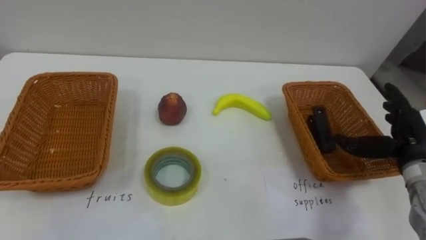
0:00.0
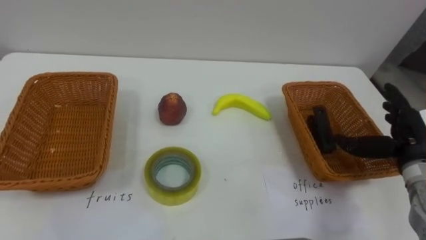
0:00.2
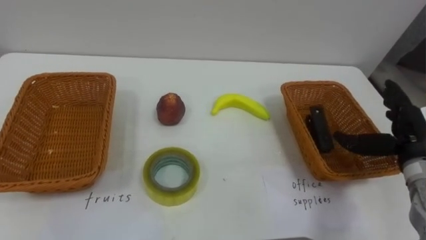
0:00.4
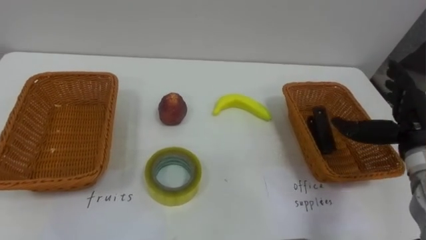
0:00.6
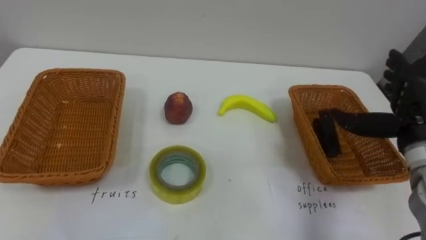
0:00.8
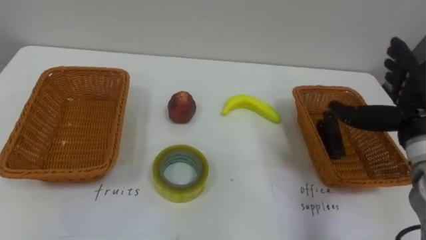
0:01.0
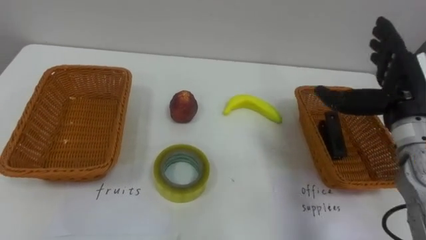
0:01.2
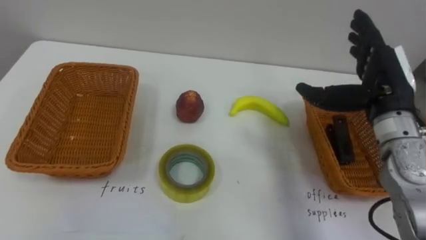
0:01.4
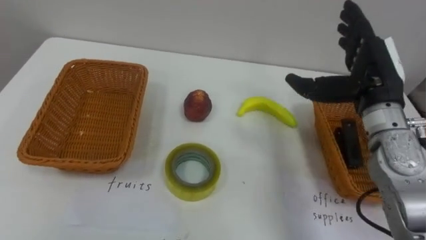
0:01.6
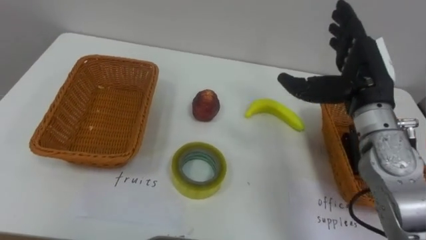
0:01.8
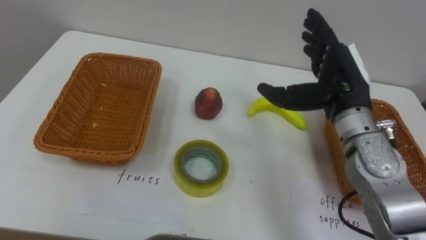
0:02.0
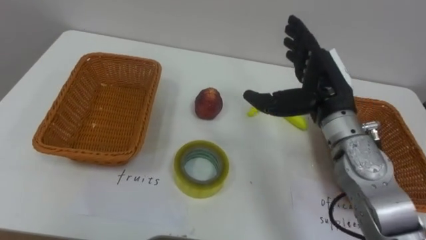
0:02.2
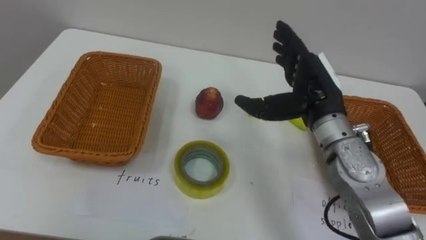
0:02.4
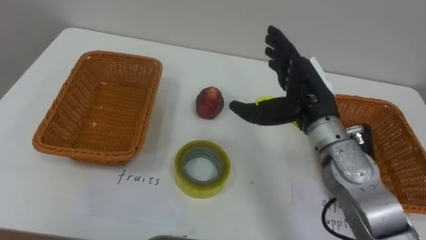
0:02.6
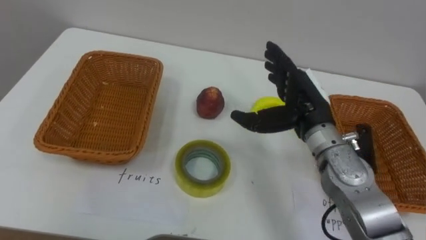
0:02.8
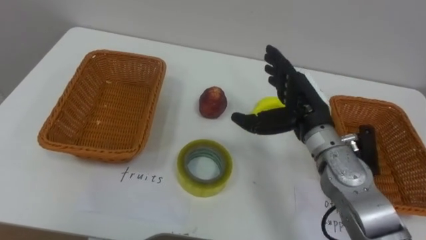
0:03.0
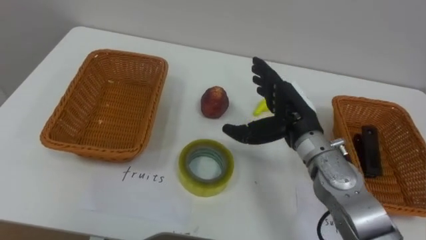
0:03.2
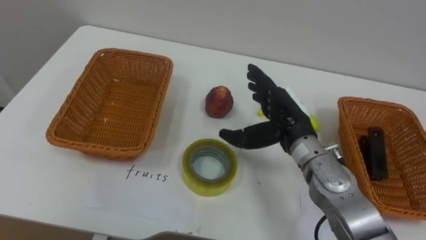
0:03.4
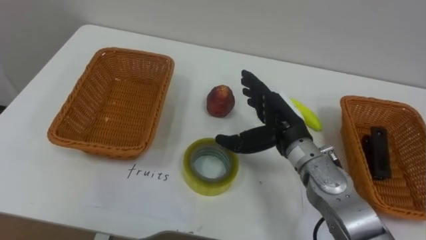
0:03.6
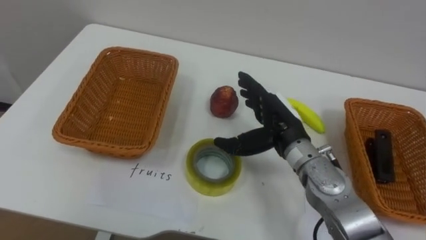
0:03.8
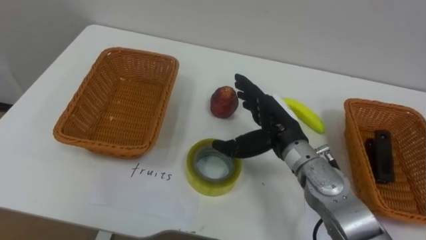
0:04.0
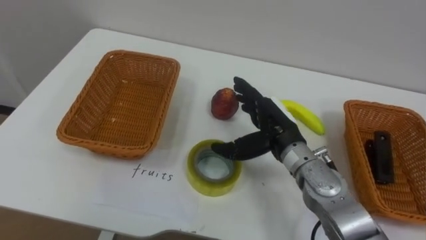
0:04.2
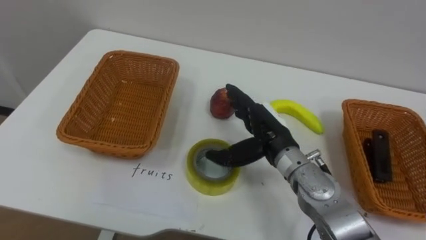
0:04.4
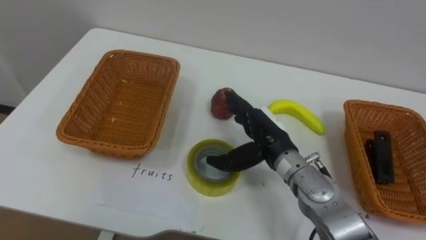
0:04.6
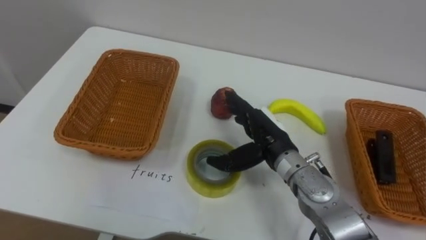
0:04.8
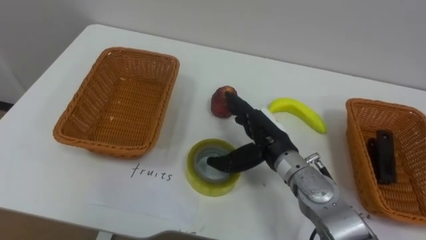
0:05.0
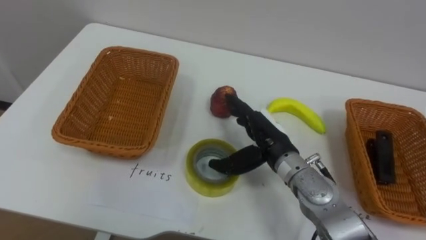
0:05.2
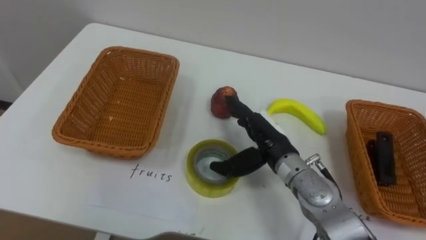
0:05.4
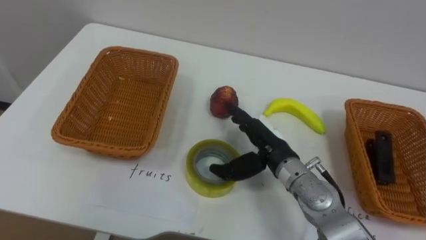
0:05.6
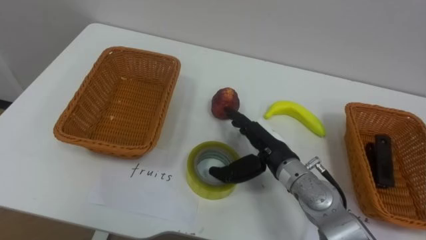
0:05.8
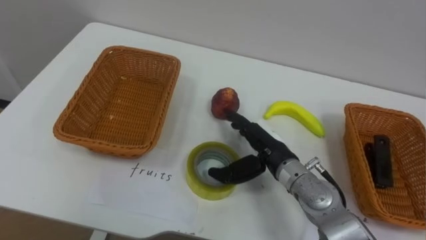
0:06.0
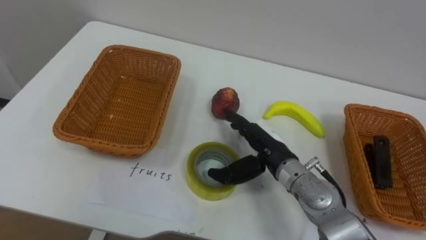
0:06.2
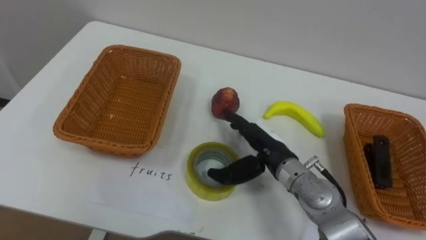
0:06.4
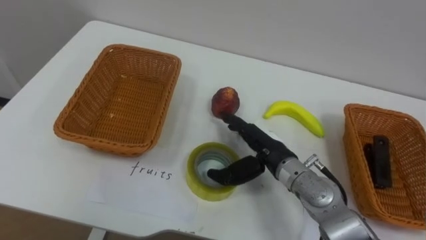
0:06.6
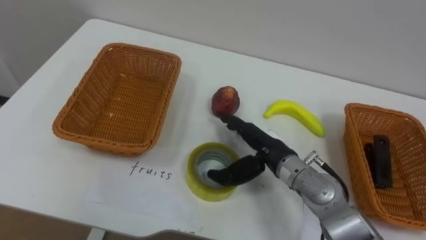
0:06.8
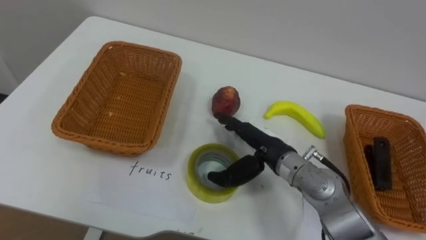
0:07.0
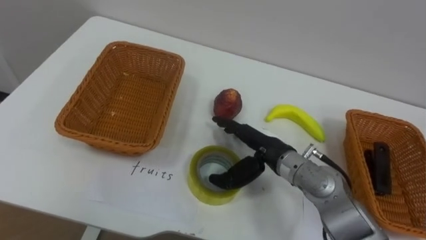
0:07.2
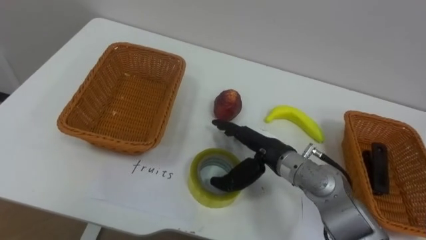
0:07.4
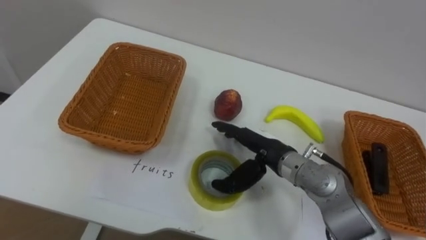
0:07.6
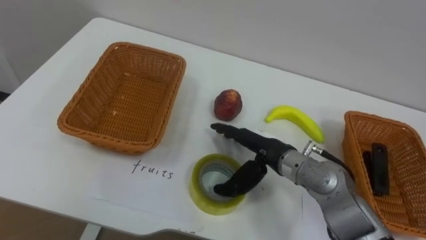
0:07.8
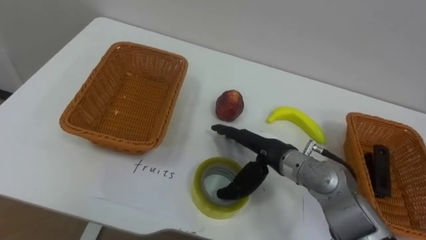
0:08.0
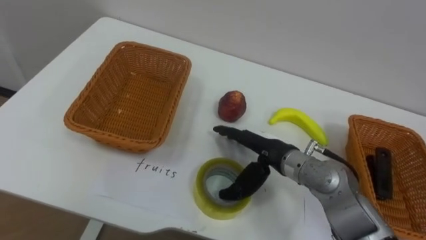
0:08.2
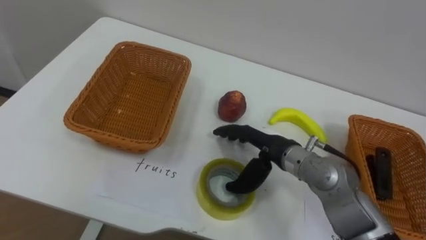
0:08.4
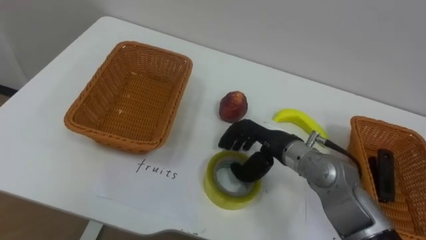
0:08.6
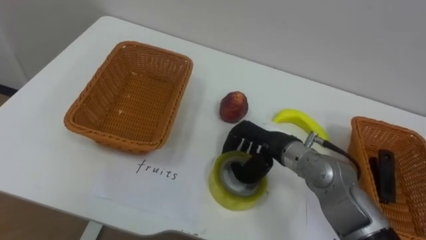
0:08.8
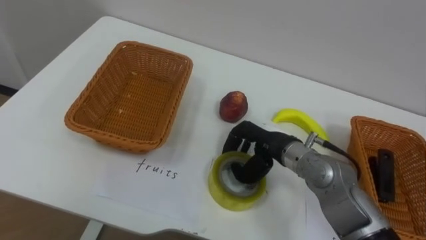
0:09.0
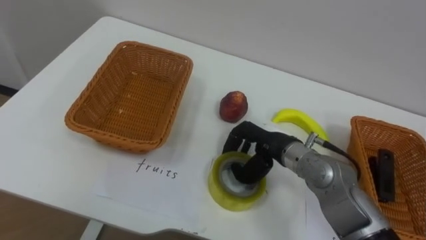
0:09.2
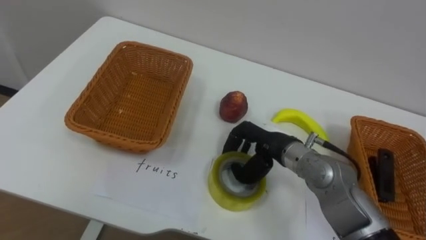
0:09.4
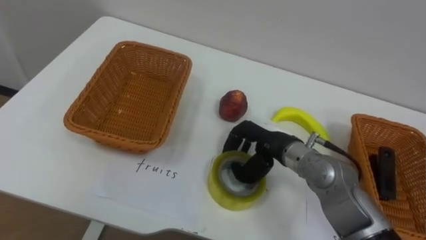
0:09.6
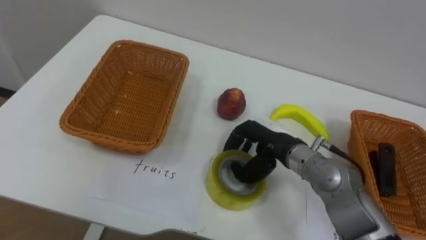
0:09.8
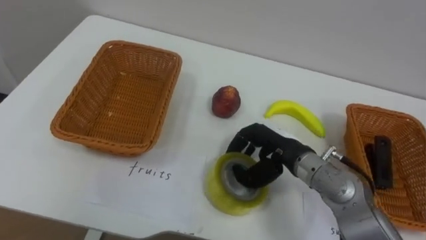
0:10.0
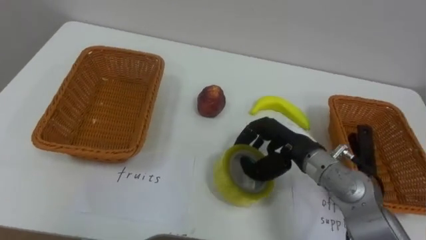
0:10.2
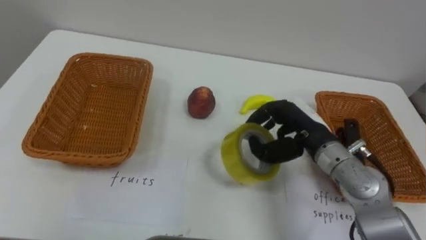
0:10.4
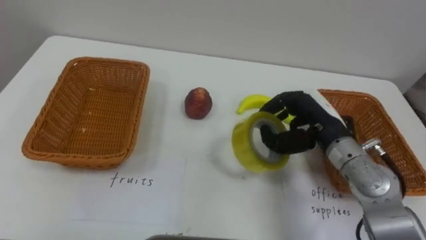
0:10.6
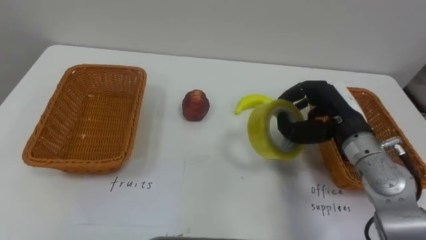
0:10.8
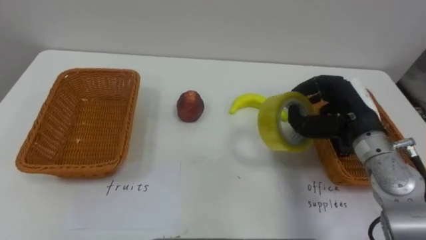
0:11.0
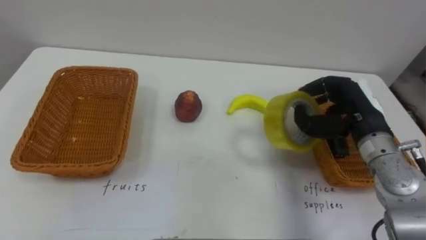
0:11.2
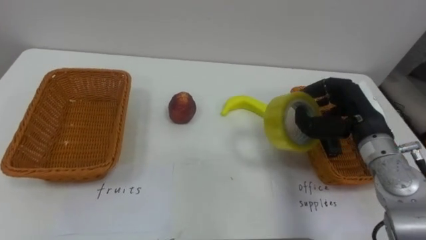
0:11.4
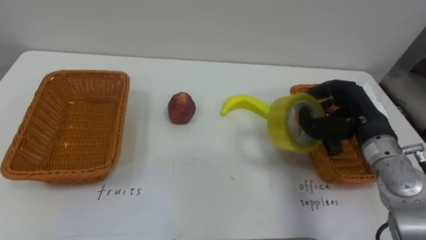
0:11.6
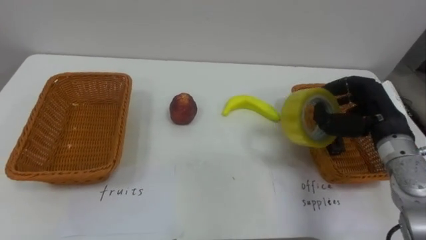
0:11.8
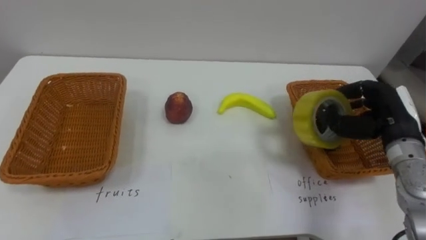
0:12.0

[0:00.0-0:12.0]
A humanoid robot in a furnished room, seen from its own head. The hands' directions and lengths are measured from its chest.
Task of the whole recording: Separate the items on the table and place them into the two baskets.
0:00.0 to 0:01.6: The right hand goes about 15 cm upward and to the left.
0:01.6 to 0:03.0: The right hand goes about 10 cm to the left and downward.
0:03.0 to 0:04.4: The right hand heads to the left and downward, covering roughly 5 cm.
0:07.6 to 0:09.0: The right hand closes.
0:09.0 to 0:10.4: The right hand goes roughly 5 cm to the right.
0:10.4 to 0:12.0: The right hand travels to the right by about 15 cm.

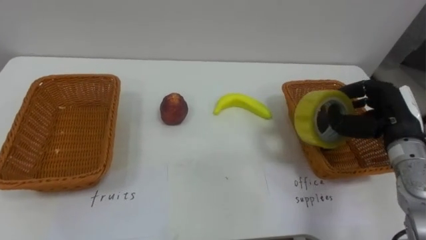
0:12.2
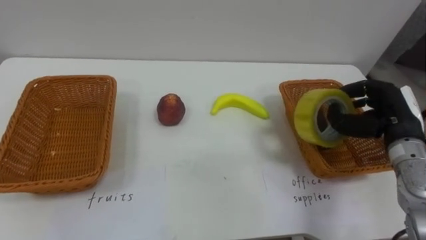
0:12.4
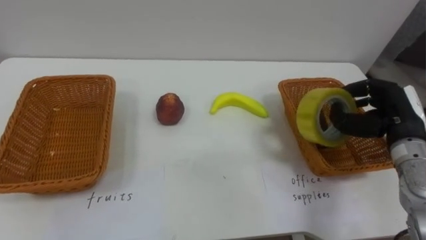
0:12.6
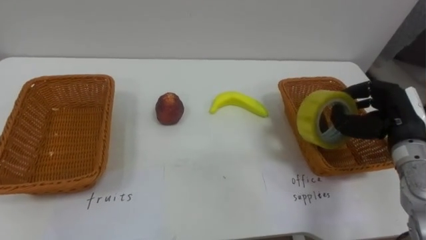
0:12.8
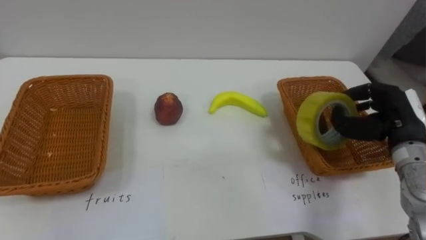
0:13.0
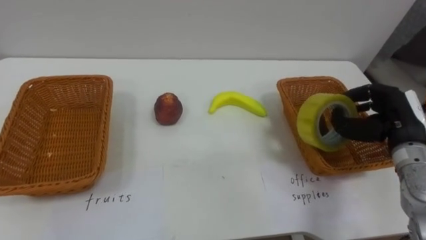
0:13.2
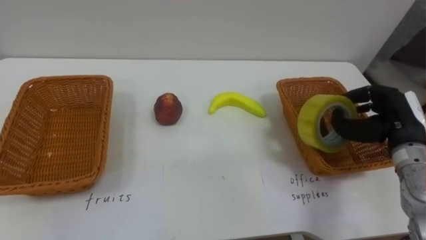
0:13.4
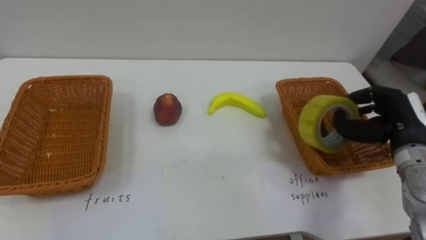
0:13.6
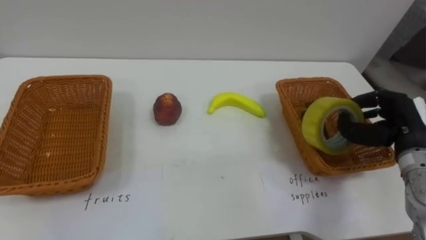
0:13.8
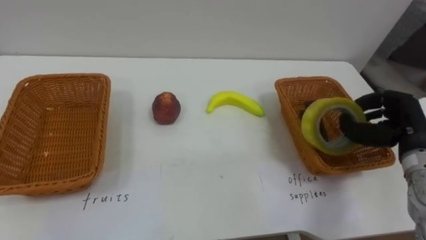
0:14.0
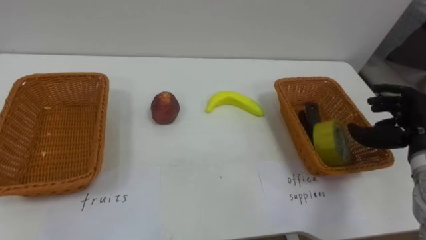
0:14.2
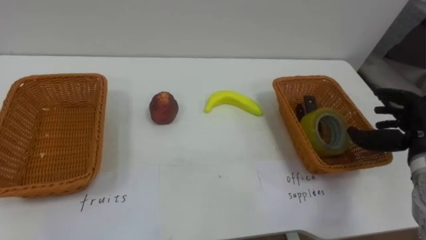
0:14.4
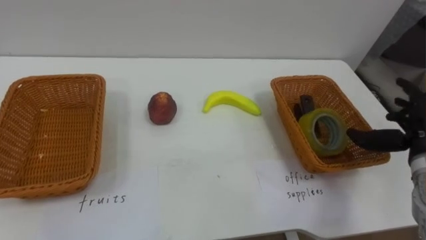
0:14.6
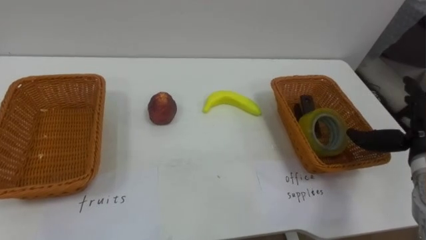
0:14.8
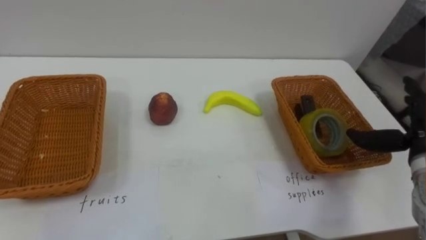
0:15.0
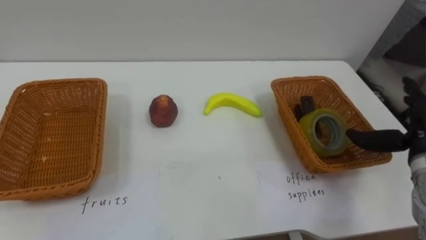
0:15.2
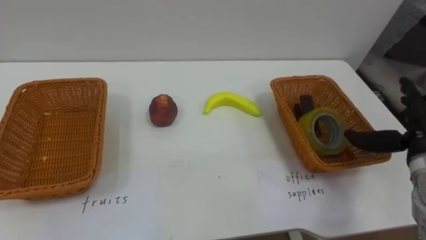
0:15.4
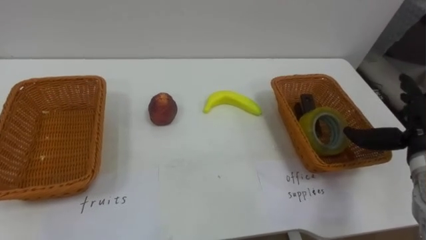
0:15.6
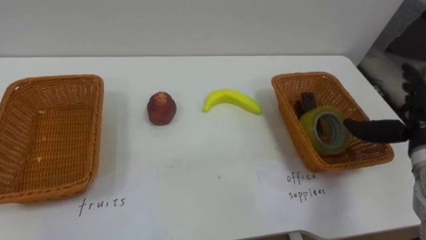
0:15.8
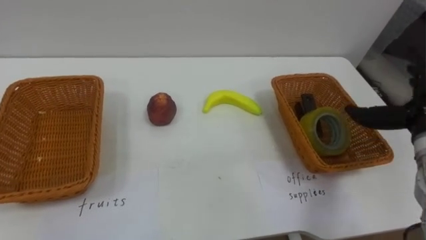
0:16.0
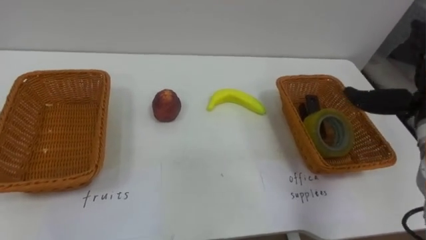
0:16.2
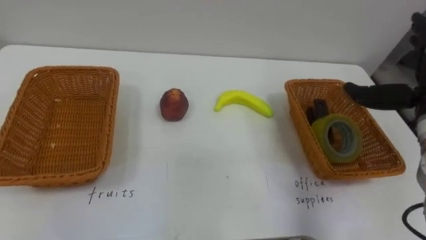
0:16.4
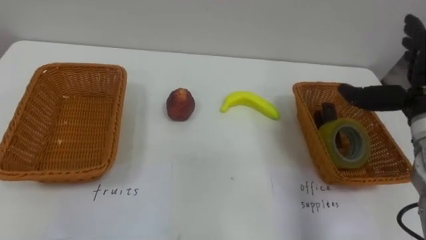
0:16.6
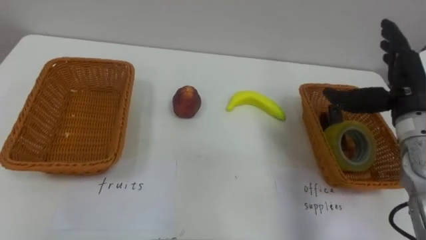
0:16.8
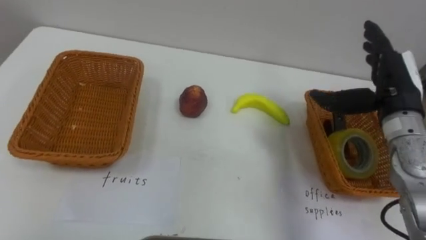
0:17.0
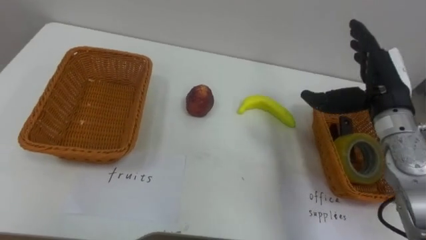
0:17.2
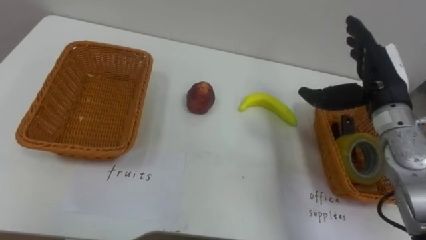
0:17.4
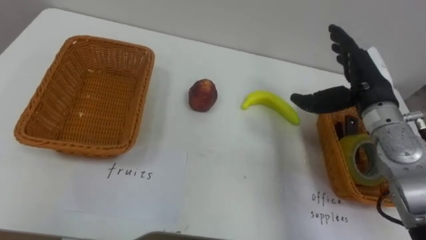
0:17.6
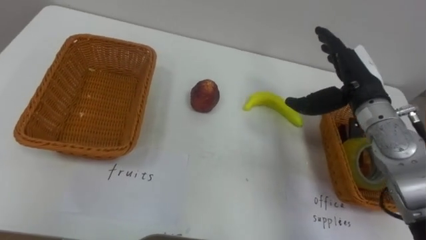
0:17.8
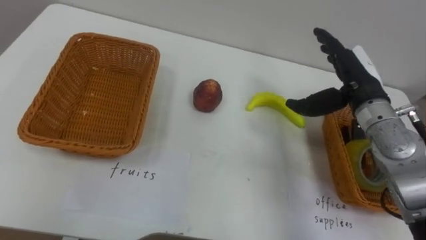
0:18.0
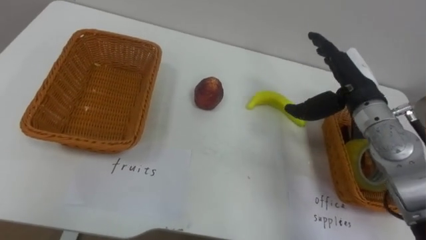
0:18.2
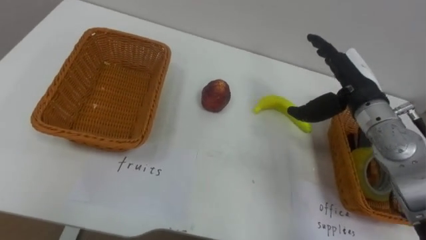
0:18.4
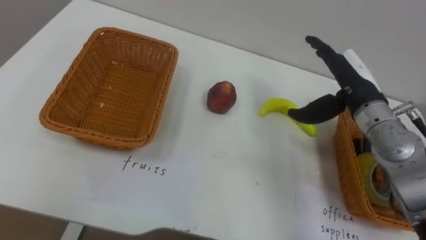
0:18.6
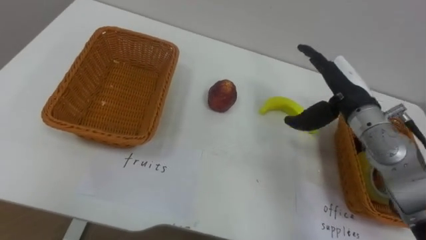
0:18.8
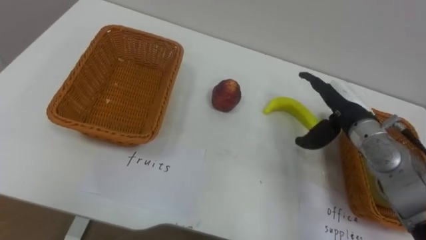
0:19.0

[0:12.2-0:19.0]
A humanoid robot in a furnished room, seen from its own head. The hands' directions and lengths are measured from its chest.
Task of the whole recording: Separate the items on the table and place them into the two baskets.
0:13.6 to 0:15.0: The right hand opens.
0:17.6 to 0:19.0: The right hand is displaced downward by some 5 cm.
